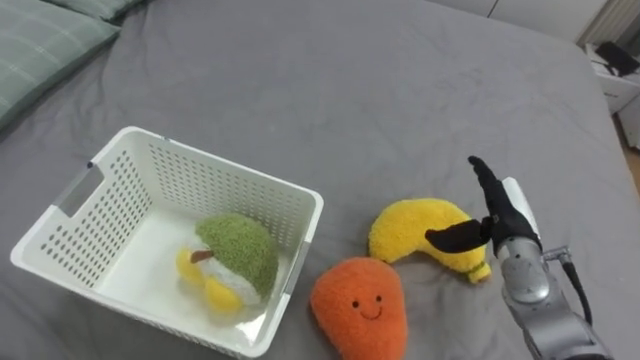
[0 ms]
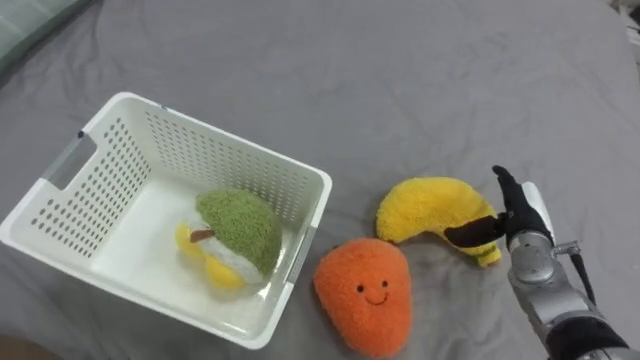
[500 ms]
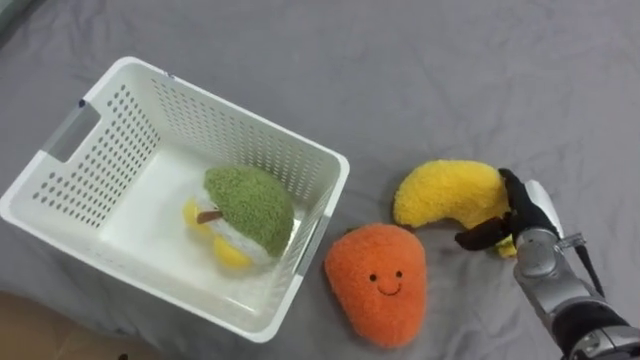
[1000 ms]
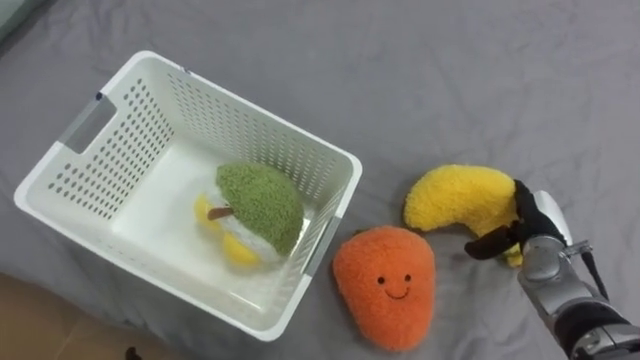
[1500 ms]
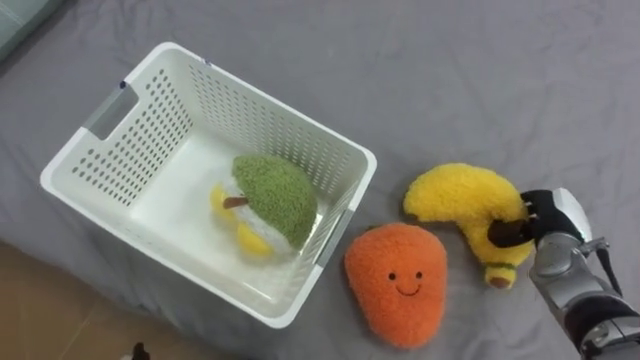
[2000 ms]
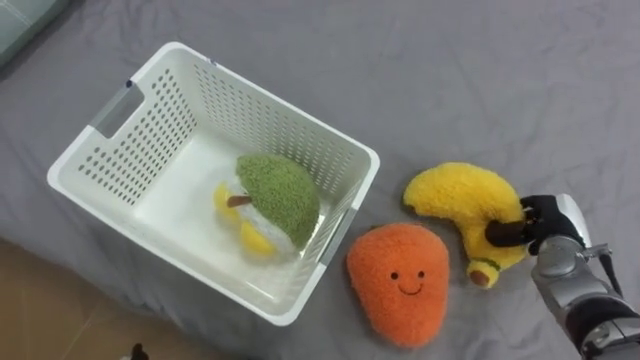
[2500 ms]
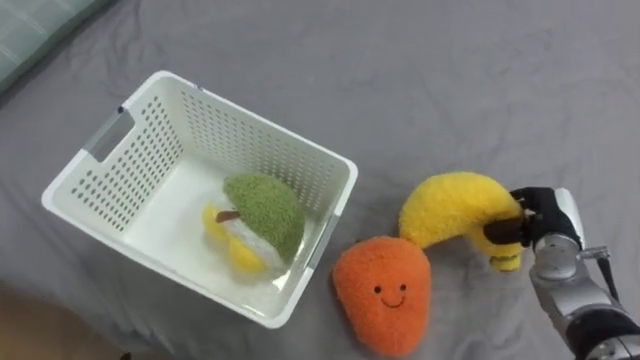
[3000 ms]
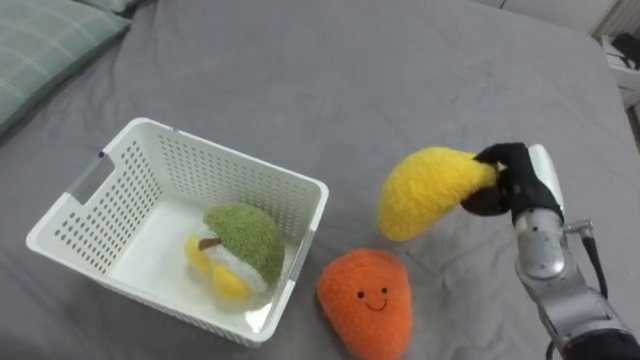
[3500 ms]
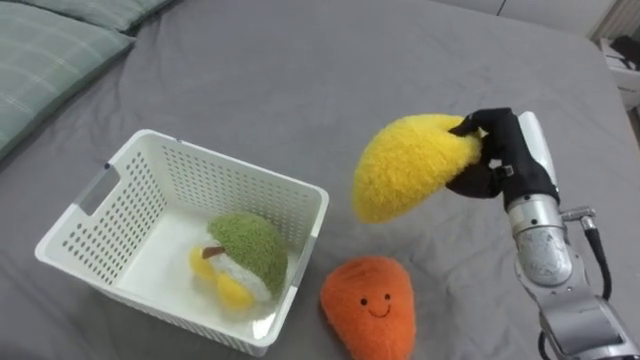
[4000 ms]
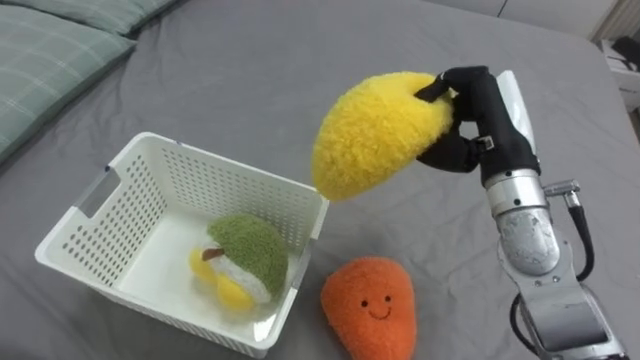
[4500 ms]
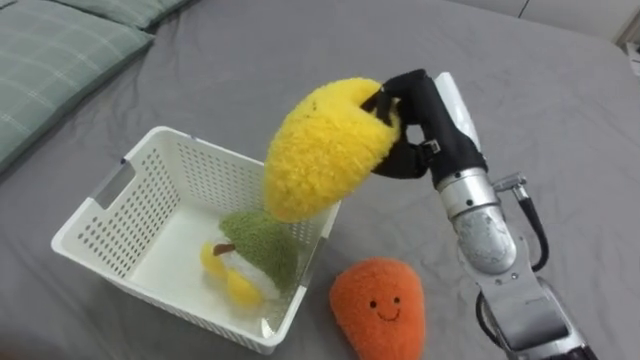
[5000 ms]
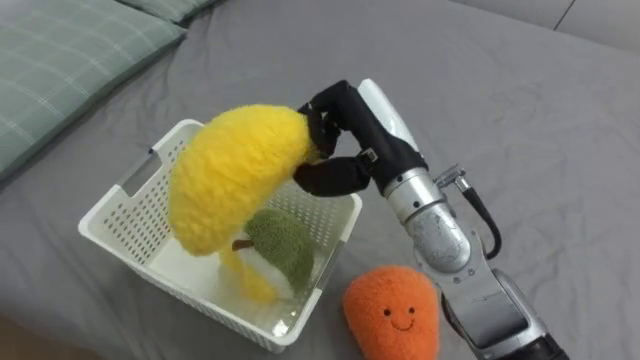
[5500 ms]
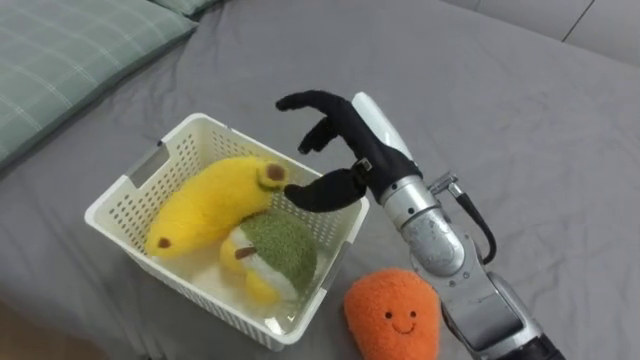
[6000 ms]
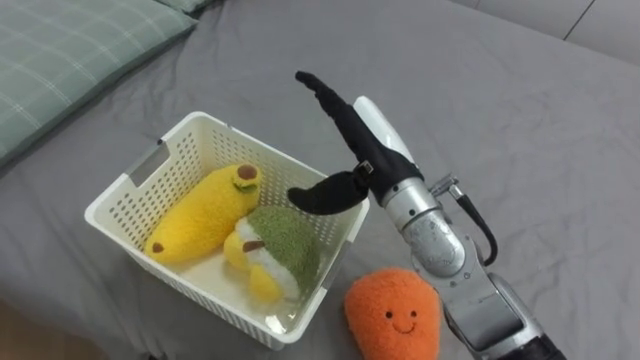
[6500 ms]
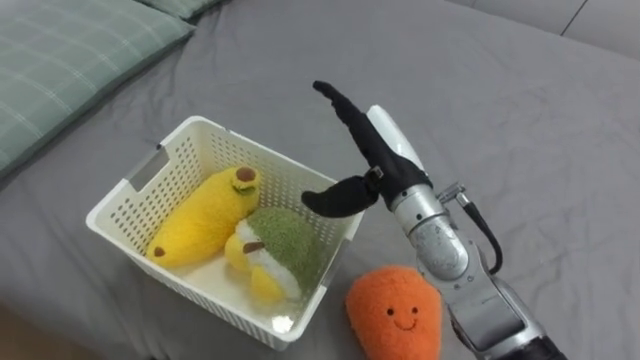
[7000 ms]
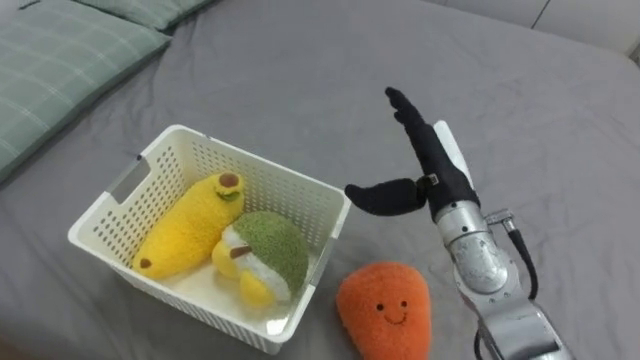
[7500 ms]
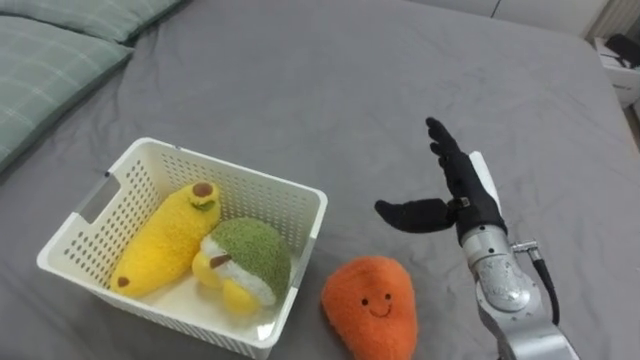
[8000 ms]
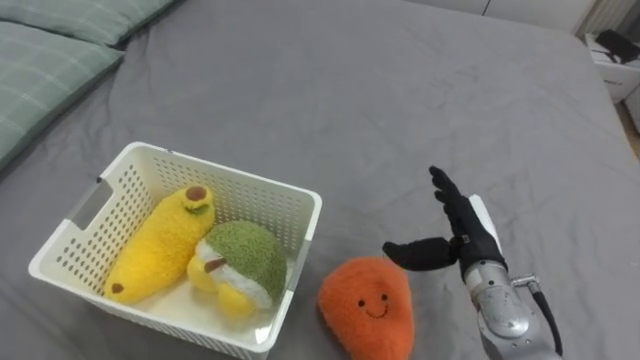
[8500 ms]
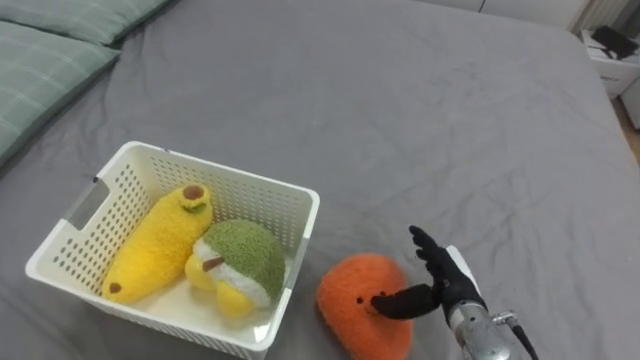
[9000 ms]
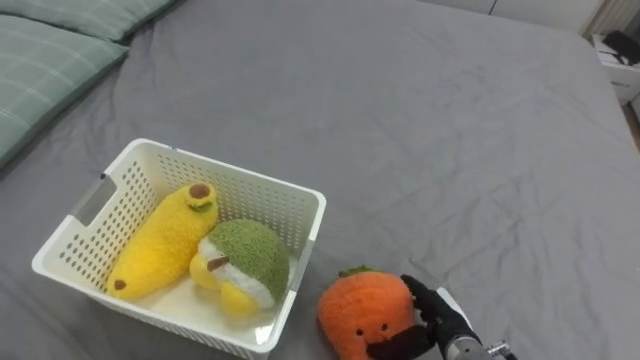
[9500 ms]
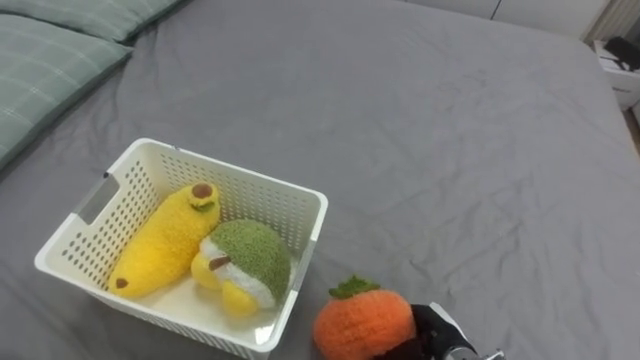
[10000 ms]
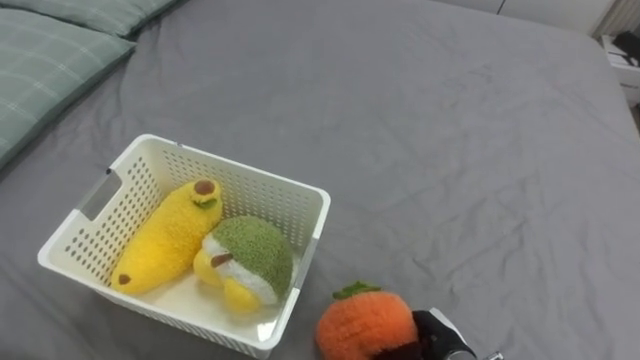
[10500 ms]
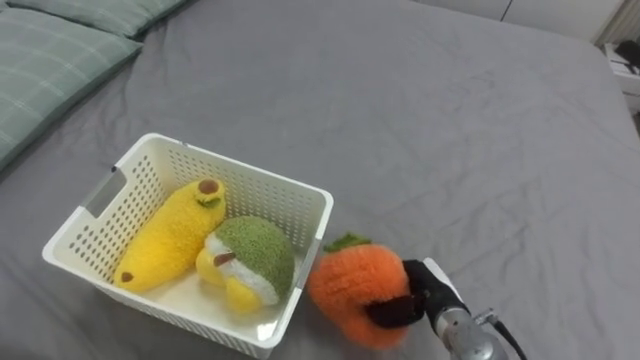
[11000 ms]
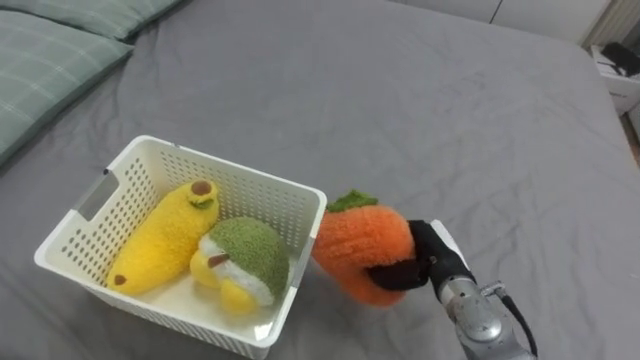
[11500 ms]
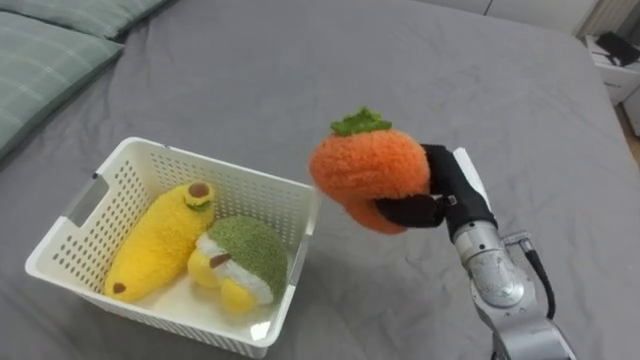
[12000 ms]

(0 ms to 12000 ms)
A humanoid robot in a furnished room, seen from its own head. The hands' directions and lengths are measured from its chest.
Task of the whole recording: Put the toys on the bed into the basket on the left.
0 ms - 2000 ms: The right hand heads to the right, covering some 5 cm, and closes.
2000 ms - 4000 ms: The right hand goes approximately 15 cm upward and to the left.
4000 ms - 6000 ms: The right hand is displaced to the left by roughly 20 cm, and opens up.
6000 ms - 8000 ms: The right hand shifts some 15 cm to the right and downward.
8000 ms - 10000 ms: The right hand goes roughly 25 cm downward and backward, and closes its fingers.
10000 ms - 12000 ms: The right hand moves upward and forward, about 25 cm.

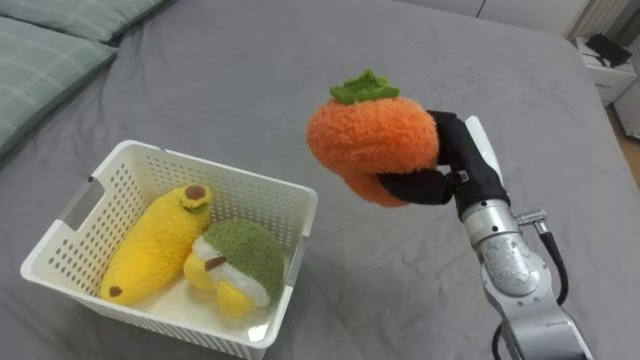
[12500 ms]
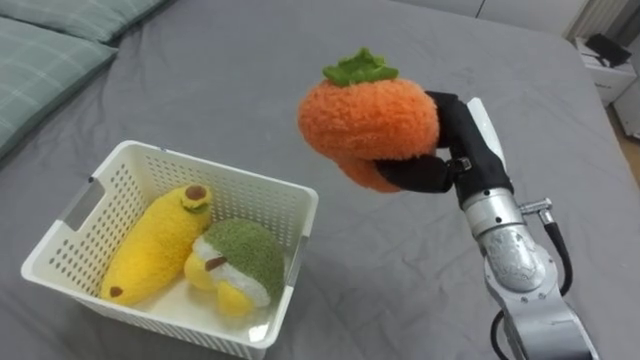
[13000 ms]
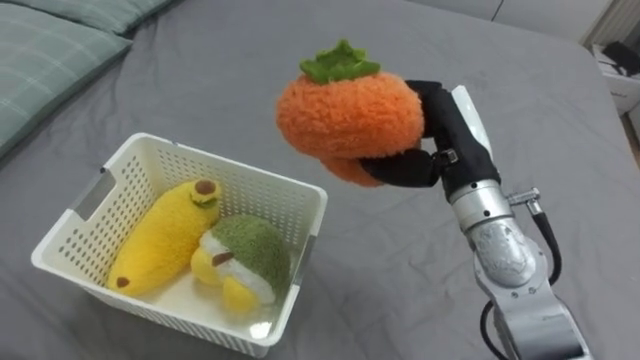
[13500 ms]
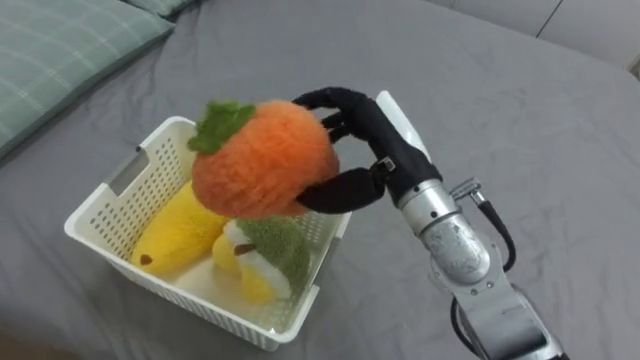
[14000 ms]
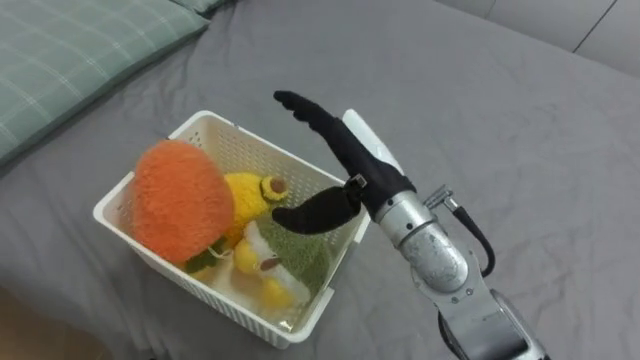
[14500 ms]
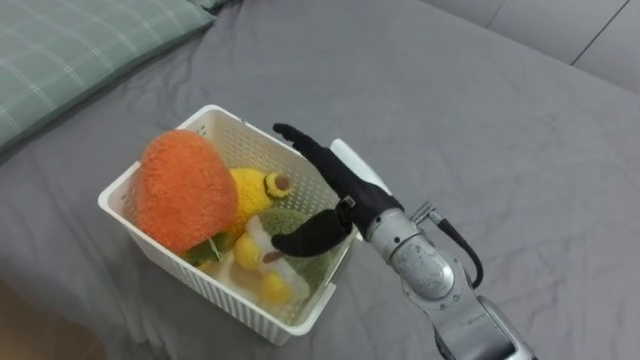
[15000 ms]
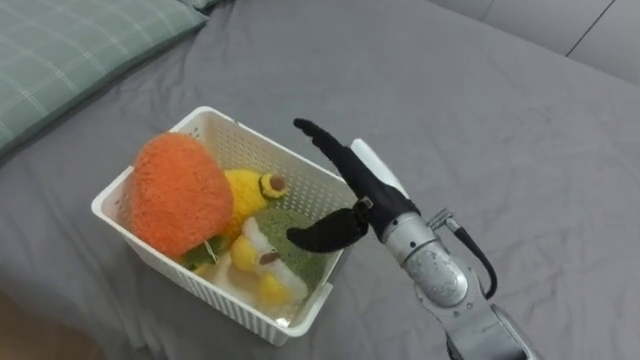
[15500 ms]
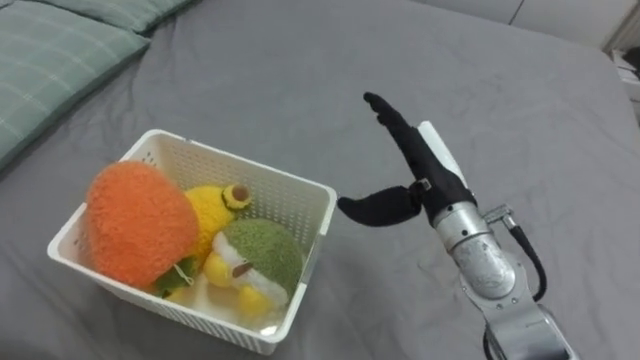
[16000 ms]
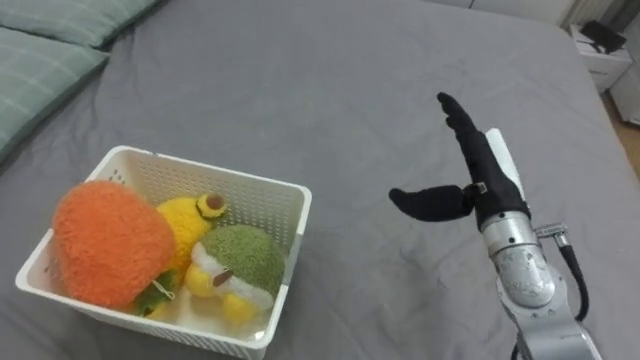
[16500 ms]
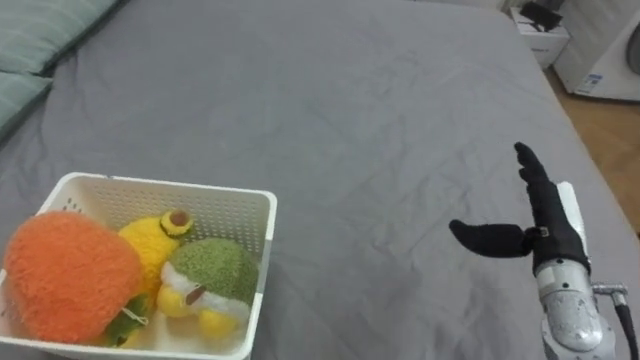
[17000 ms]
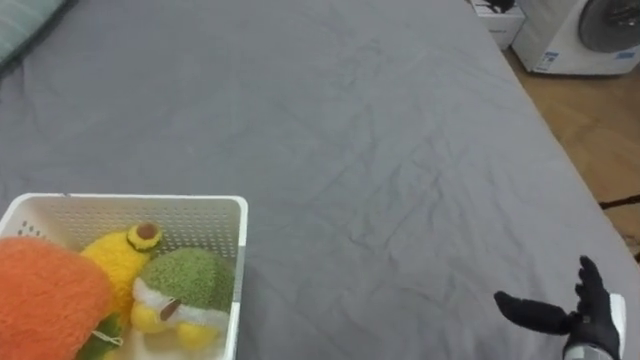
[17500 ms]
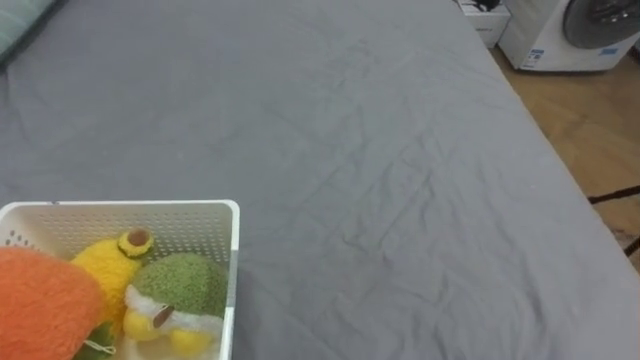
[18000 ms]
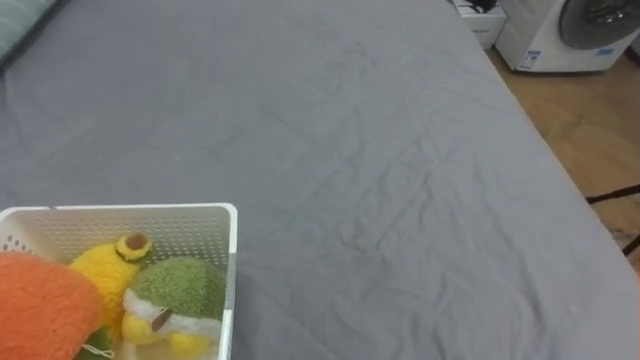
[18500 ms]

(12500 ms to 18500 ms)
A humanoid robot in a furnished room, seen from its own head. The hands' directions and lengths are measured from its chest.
Task of the whole recording: Put the toys on the bed into the basket on the left.
12500 ms - 14500 ms: The right hand goes some 10 cm to the left, and opens its fingers.
14500 ms - 16500 ms: The right hand is displaced to the right by approximately 15 cm.

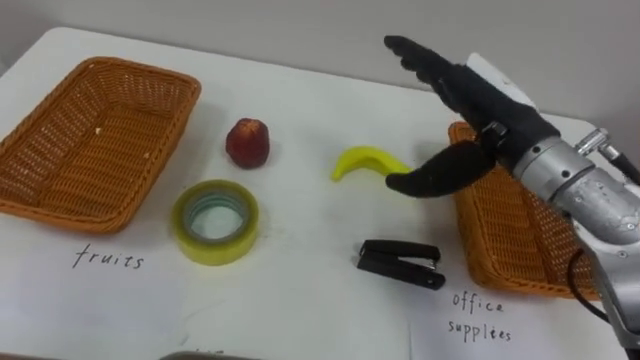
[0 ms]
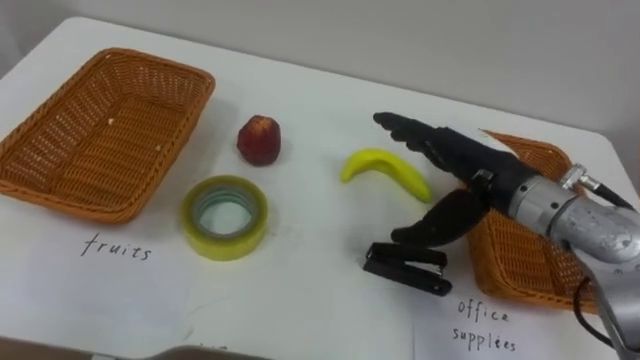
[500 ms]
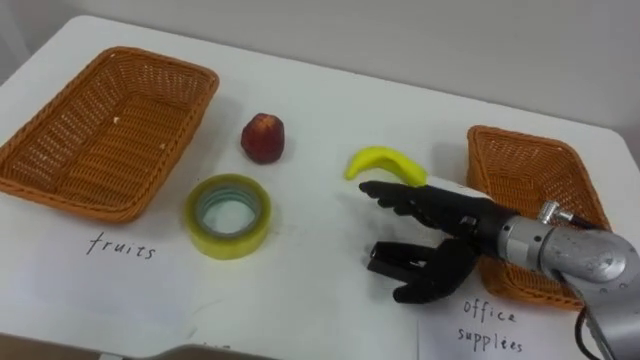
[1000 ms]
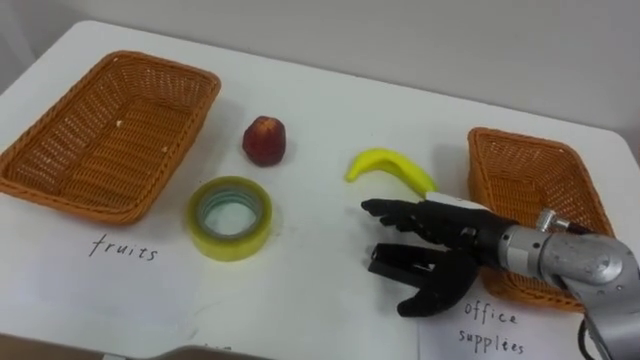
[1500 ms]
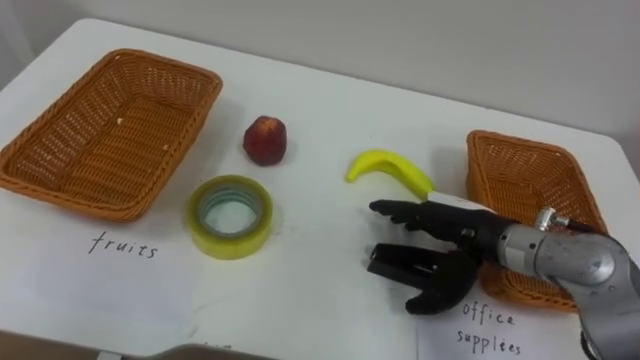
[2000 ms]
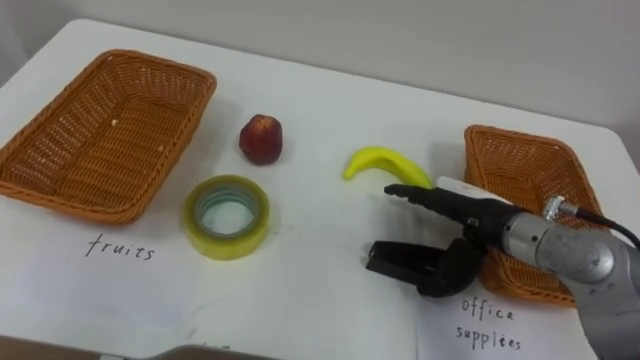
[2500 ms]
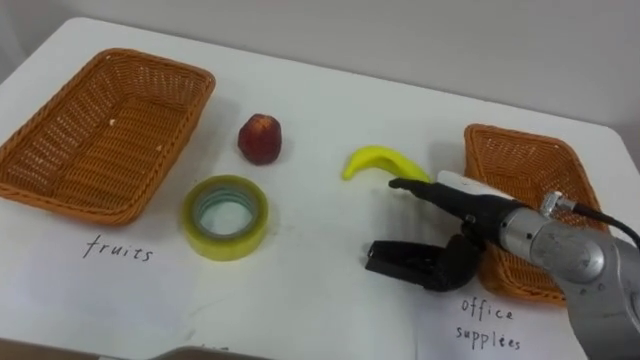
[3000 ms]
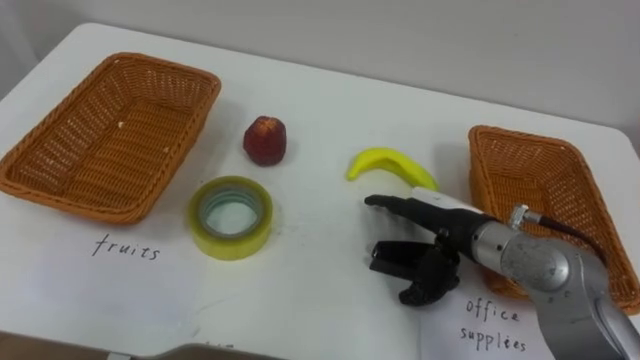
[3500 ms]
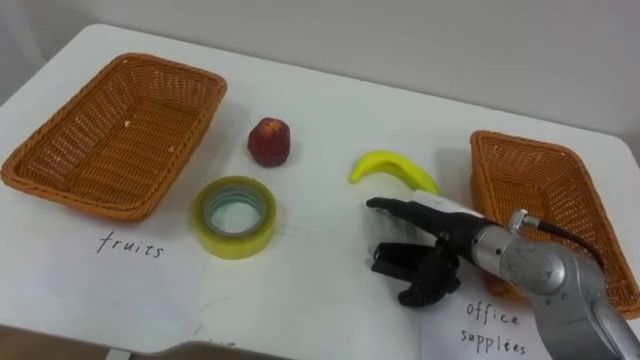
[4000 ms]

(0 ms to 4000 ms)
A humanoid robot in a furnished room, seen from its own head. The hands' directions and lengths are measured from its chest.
Task of the whole recording: Separate the items on the table and place them into the two baskets.
0 ms - 2000 ms: The right hand heads downward, covering about 15 cm.
